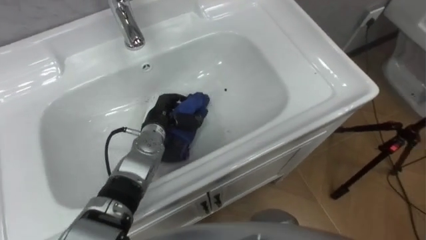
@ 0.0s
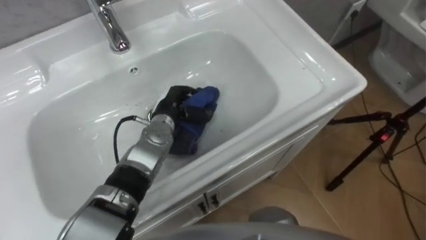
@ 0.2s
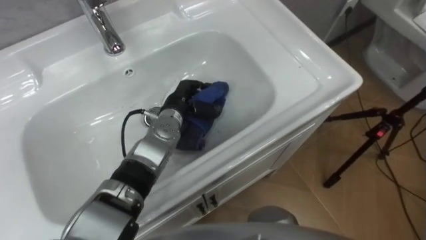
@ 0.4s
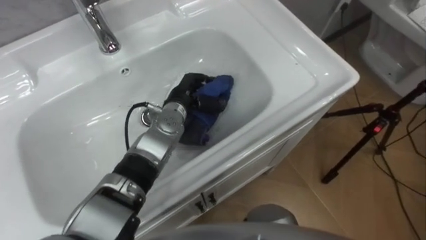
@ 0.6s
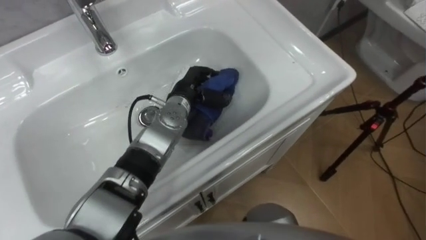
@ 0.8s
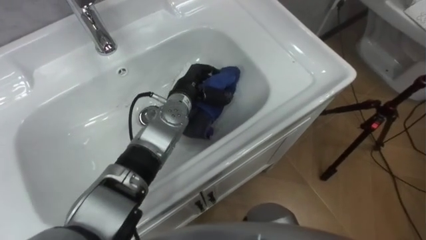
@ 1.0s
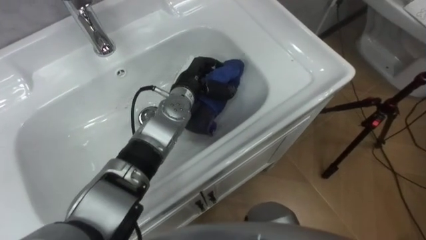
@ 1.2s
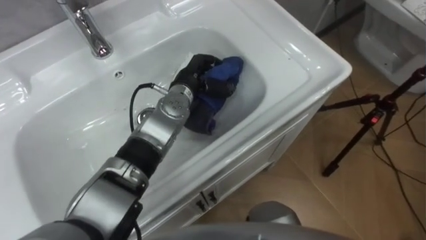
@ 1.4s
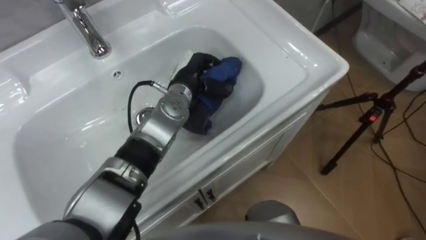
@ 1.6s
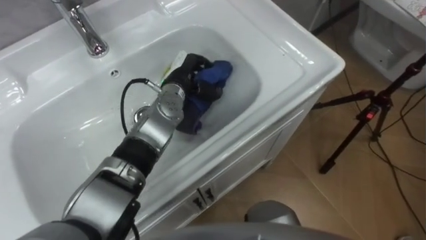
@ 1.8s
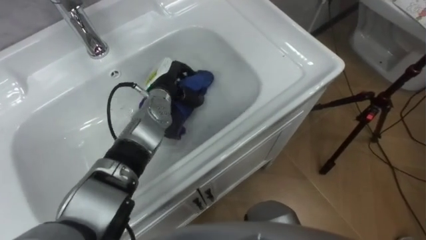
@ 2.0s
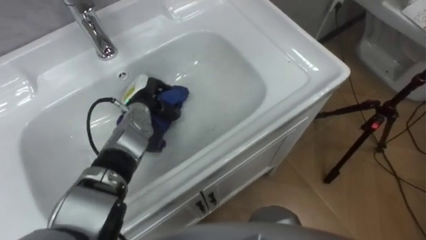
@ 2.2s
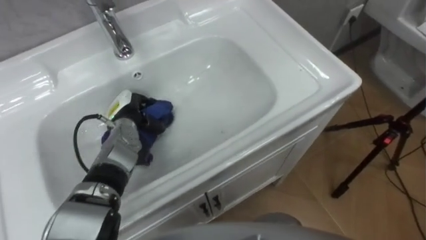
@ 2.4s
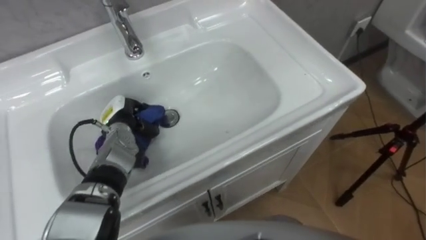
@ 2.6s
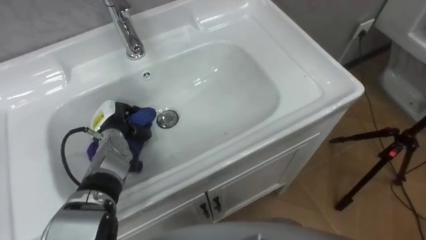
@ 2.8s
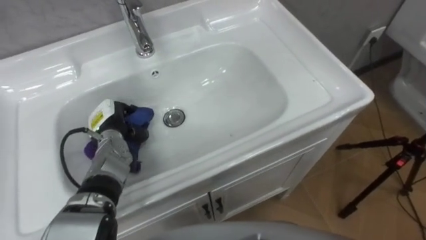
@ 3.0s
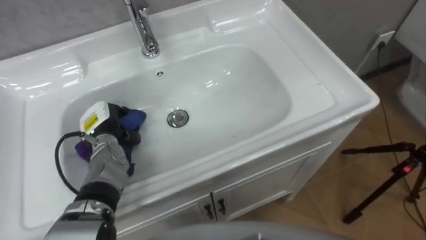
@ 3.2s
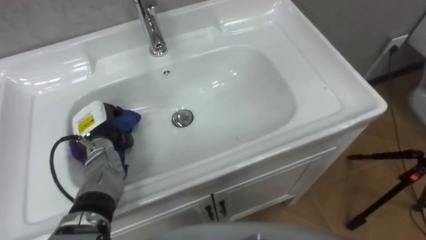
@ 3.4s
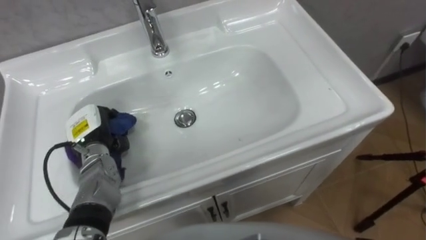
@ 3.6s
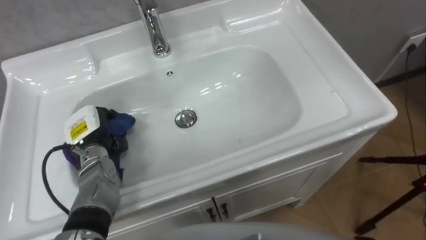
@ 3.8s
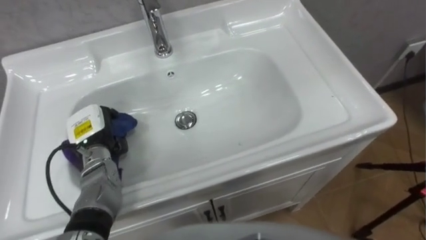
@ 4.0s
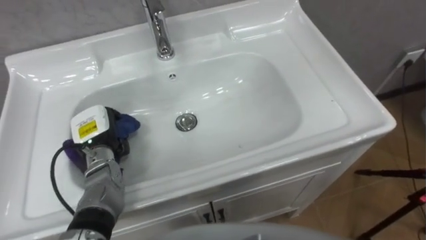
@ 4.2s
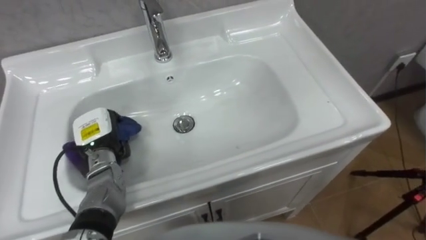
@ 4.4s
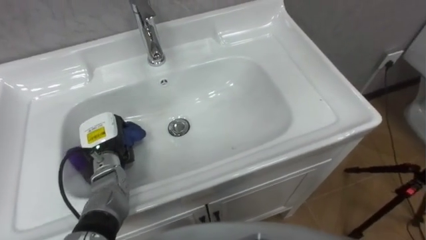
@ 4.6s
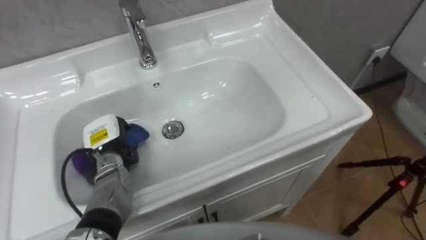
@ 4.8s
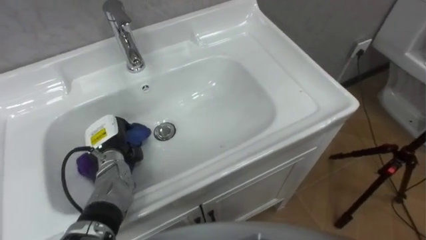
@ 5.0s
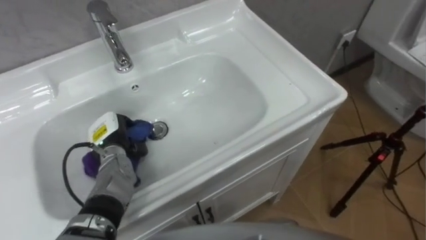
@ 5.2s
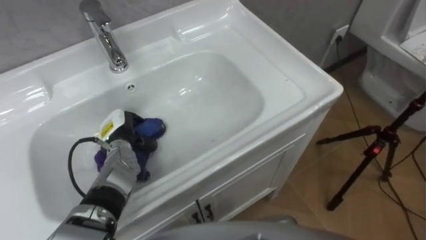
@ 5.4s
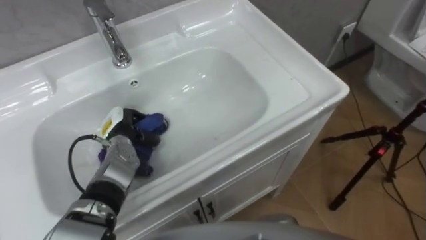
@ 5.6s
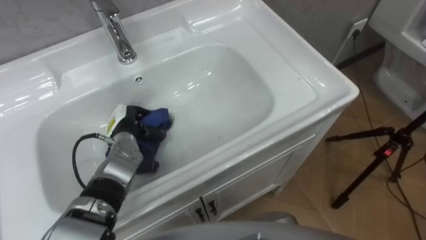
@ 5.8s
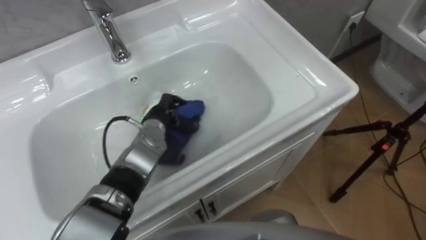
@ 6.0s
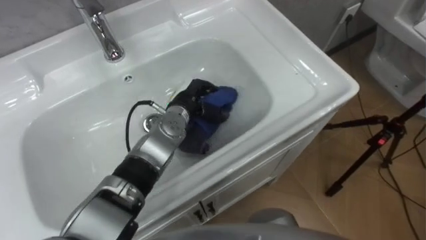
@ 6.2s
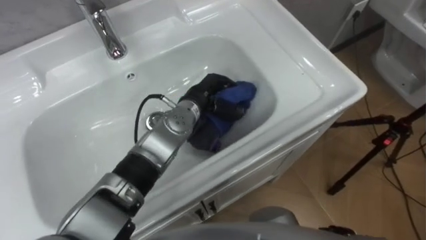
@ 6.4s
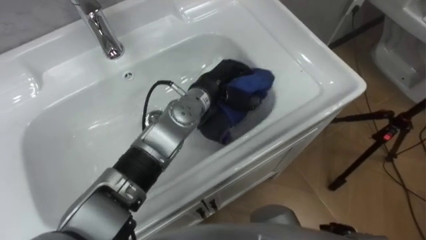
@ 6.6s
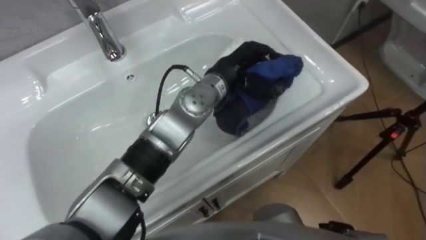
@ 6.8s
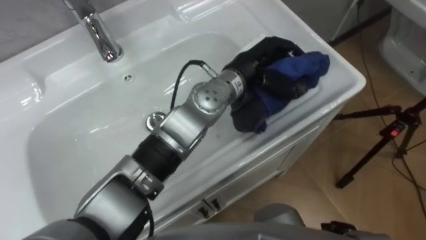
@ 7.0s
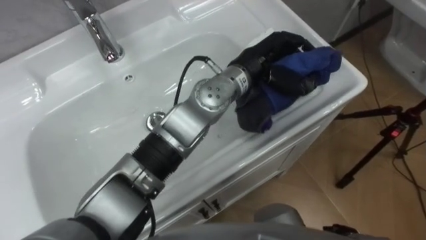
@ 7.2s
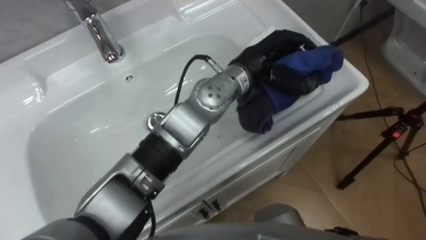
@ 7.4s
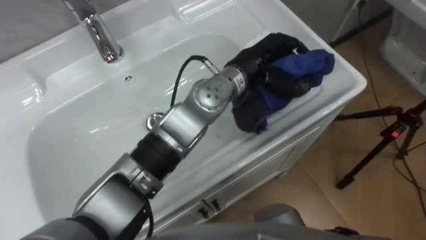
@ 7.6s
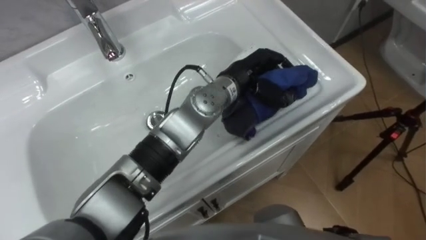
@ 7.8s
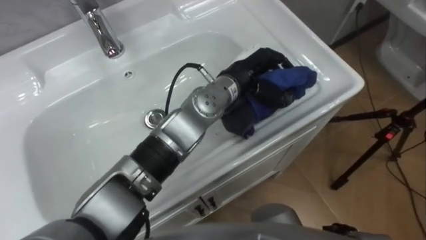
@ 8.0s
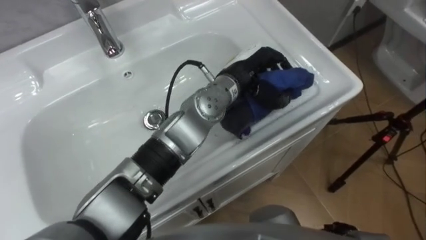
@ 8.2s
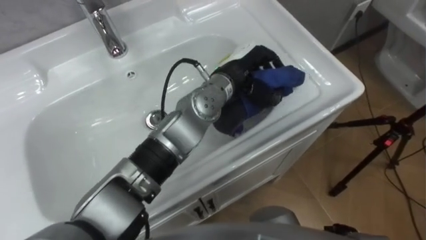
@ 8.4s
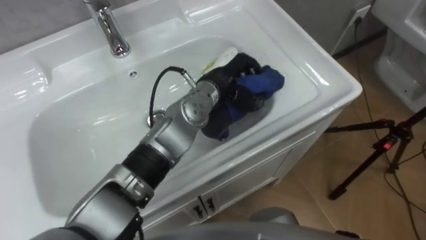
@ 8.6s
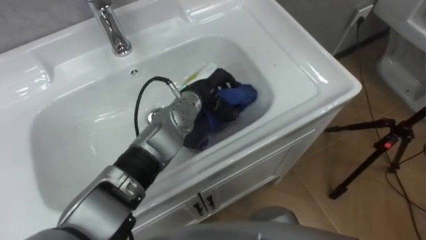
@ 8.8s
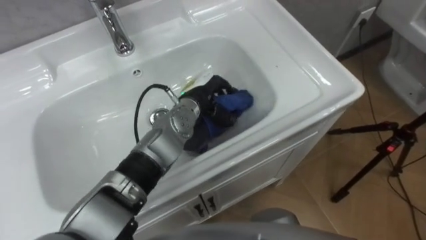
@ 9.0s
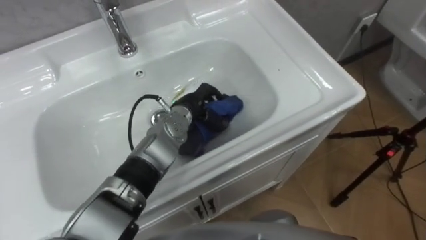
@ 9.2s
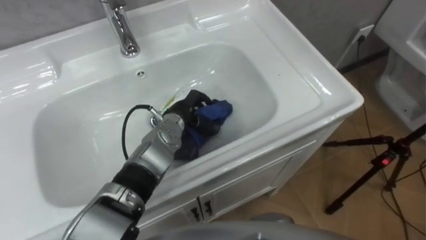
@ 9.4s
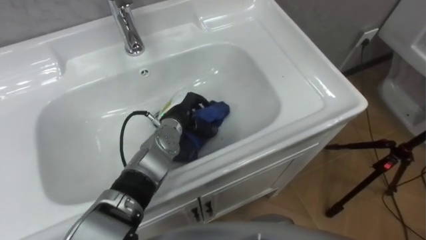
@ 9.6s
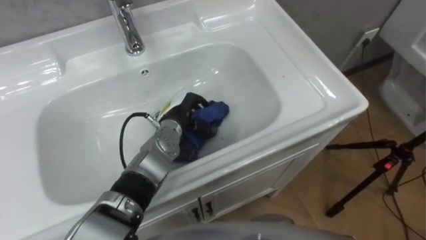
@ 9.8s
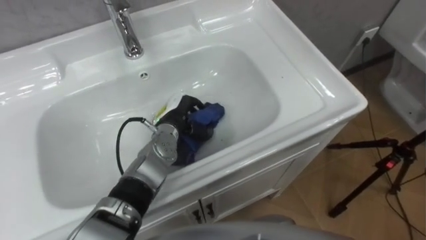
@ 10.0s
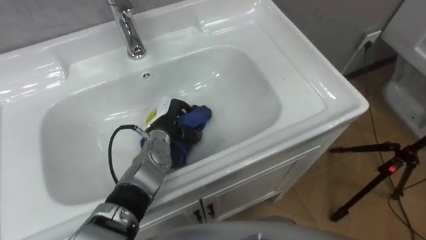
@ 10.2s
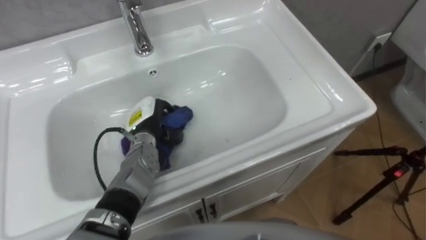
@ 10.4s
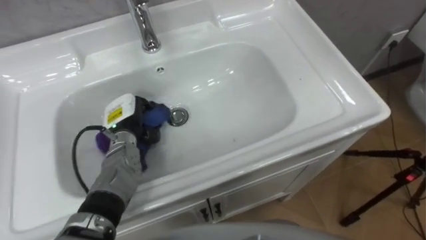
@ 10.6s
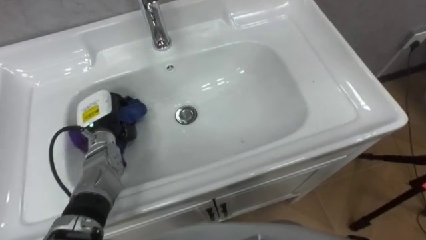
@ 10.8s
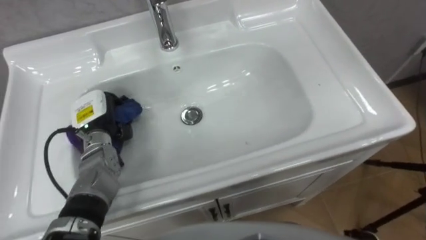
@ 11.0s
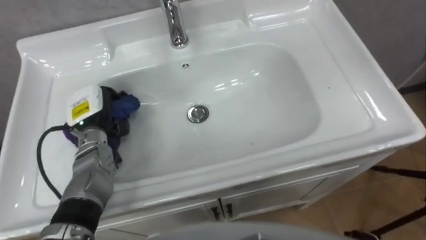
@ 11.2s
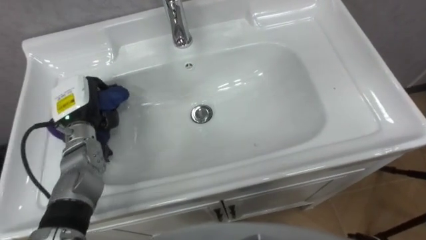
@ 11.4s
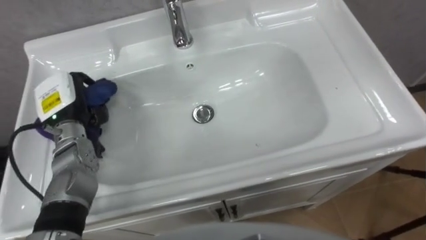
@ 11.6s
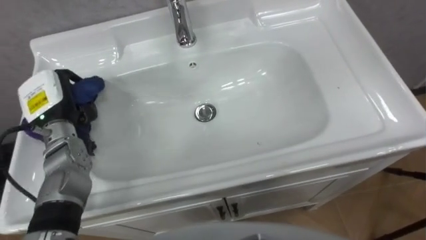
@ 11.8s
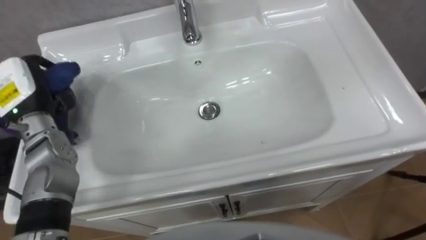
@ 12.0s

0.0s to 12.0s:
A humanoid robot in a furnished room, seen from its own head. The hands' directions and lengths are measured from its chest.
Task of the whole recording: Use the cloth on the right to wipe away the black stain in the sink.
0.0s to 1.6s: The left hand goes about 10 cm upward, to the right and forward.
1.6s to 3.0s: The left hand travels to the left, downward and backward by about 20 cm.
4.4s to 6.0s: The left hand goes about 15 cm to the right and forward.
6.0s to 7.6s: The left hand is displaced to the right and upward by roughly 25 cm.
7.6s to 9.0s: The left hand heads downward and to the left, covering about 15 cm.
9.0s to 10.4s: The left hand is displaced to the left and downward by about 15 cm.
10.4s to 12.0s: The left hand goes some 25 cm to the left and upward.

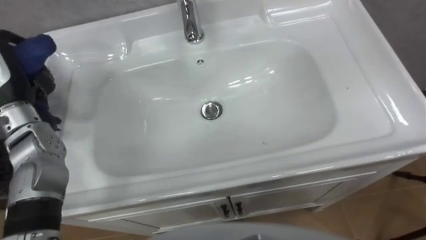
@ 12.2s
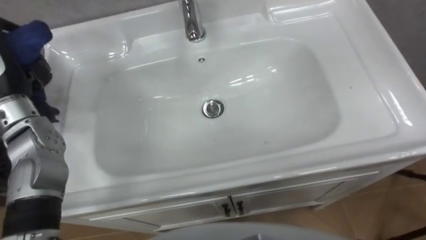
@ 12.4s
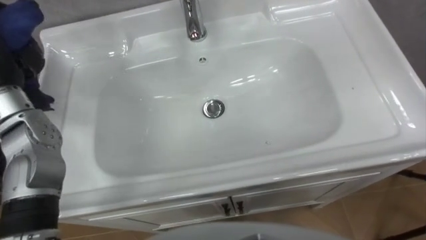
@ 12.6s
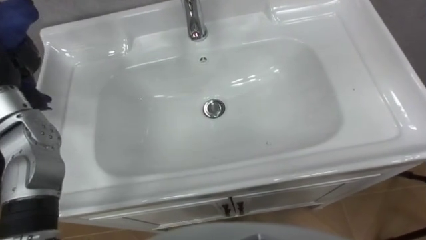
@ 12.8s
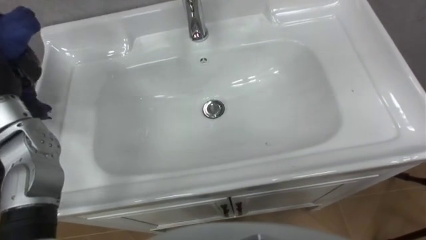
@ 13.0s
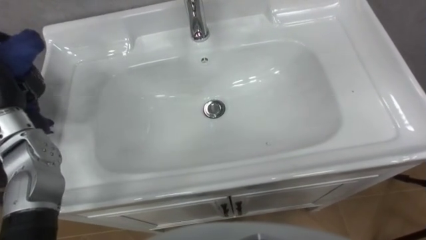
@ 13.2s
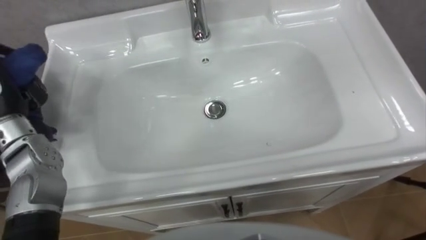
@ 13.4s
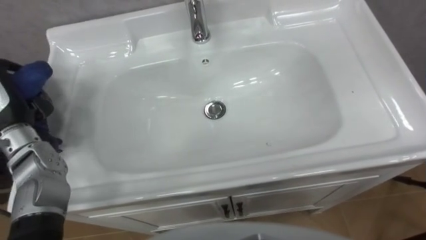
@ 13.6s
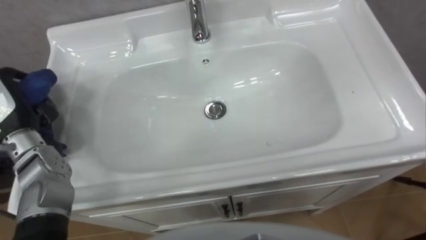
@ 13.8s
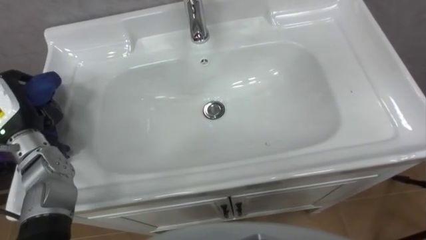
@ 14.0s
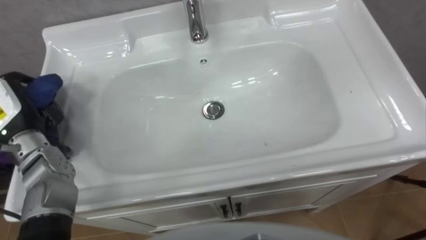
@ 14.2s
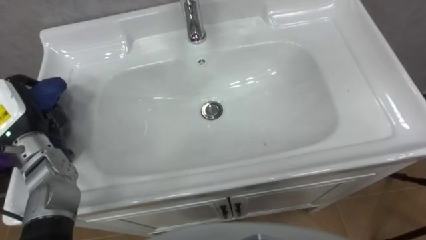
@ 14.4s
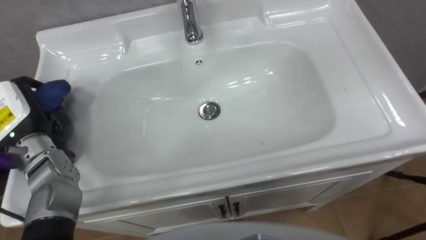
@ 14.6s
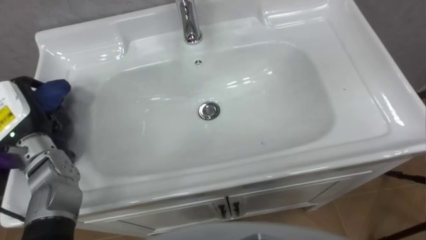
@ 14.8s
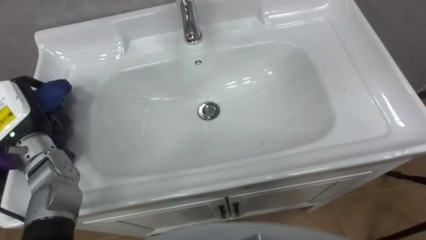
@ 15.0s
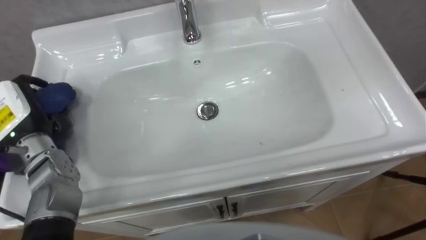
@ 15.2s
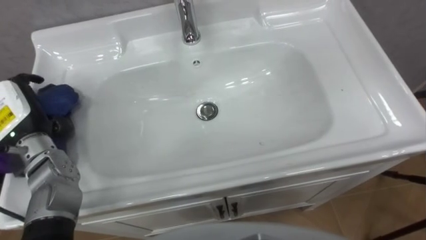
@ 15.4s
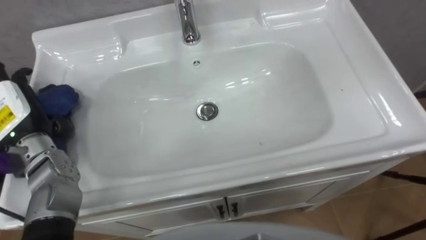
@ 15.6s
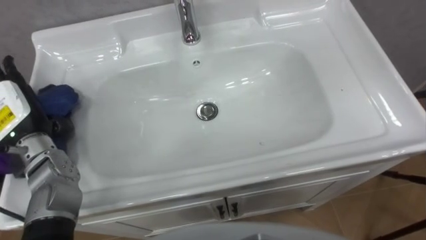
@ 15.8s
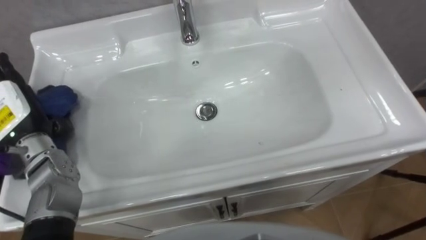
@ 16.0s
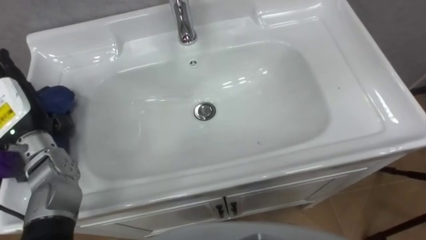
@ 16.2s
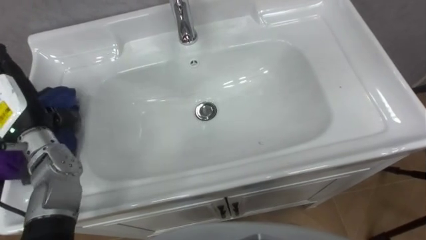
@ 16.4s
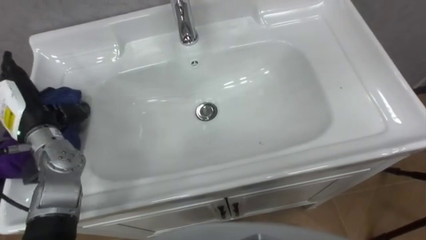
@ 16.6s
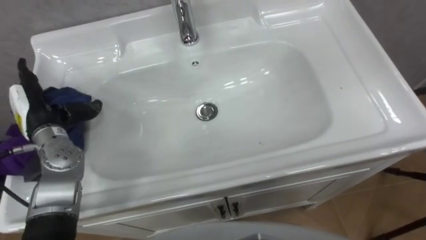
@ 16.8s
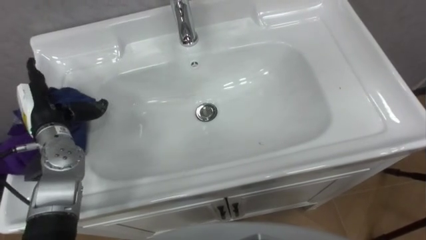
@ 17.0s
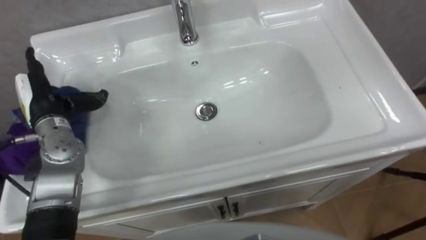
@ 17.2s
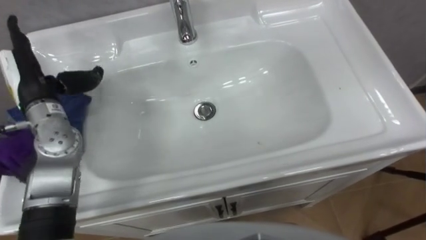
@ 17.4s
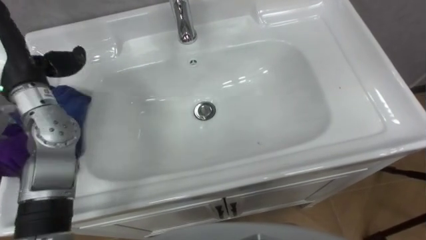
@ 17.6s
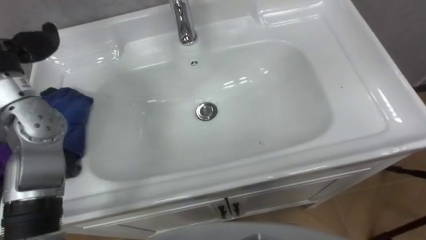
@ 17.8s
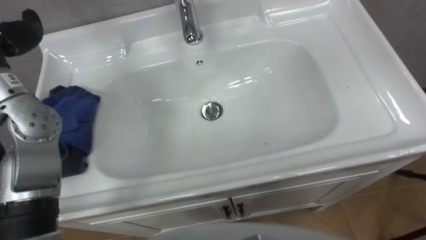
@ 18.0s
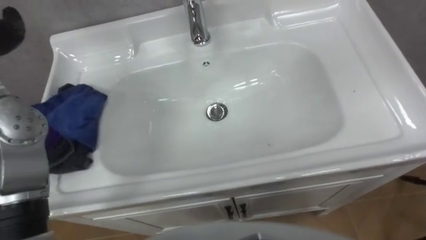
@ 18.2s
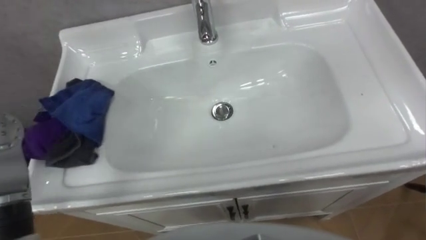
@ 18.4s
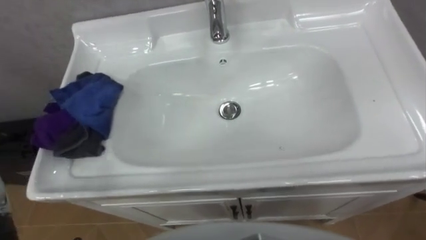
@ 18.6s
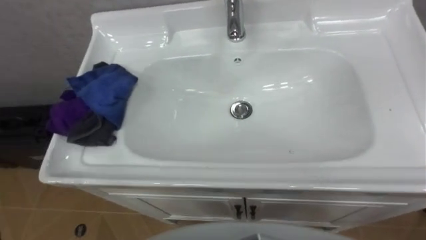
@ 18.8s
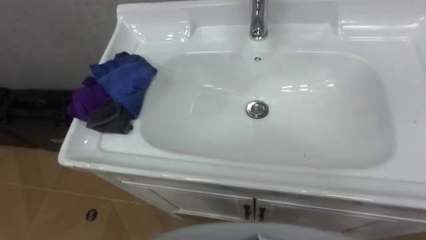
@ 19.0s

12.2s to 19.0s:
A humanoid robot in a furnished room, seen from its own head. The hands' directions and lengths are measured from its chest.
Task of the whole recording: Use the cloth on the right to wipe away the black stain in the sink.
15.0s to 16.2s: The left hand opens its fingers.
16.2s to 17.6s: The left hand goes some 10 cm upward.
